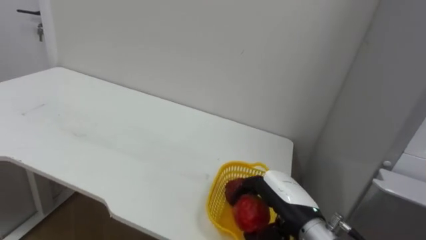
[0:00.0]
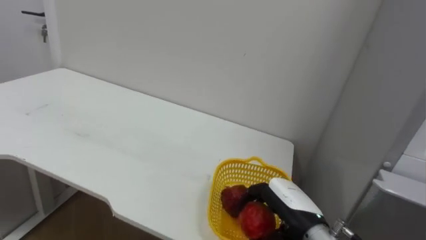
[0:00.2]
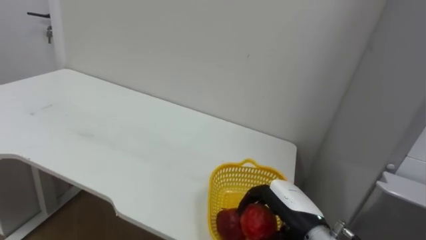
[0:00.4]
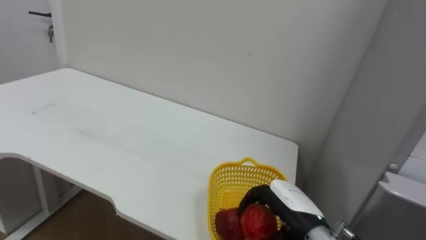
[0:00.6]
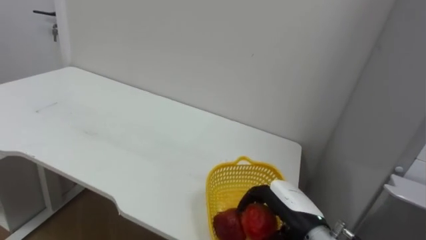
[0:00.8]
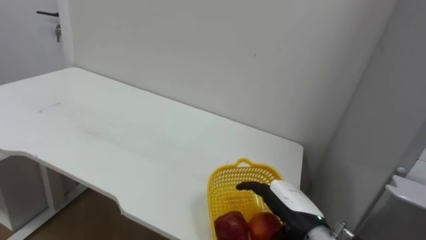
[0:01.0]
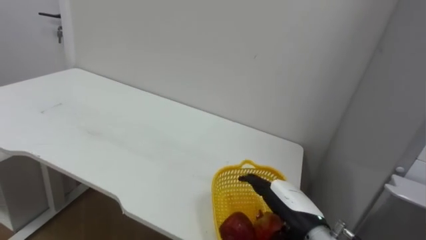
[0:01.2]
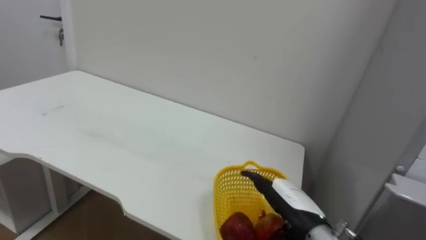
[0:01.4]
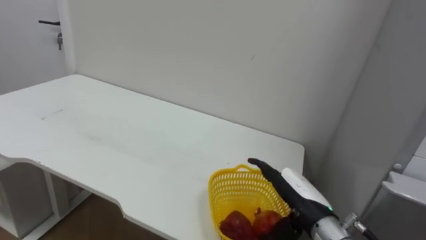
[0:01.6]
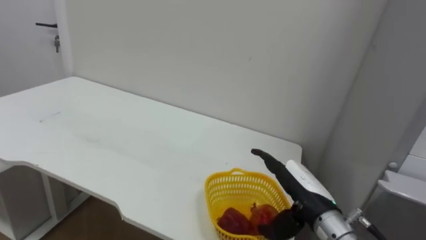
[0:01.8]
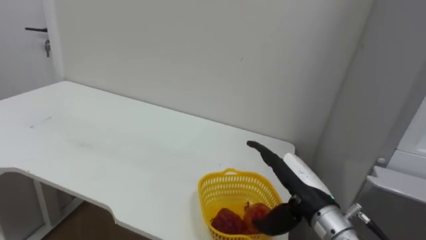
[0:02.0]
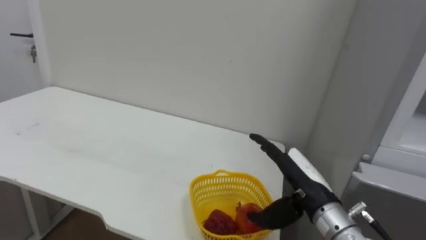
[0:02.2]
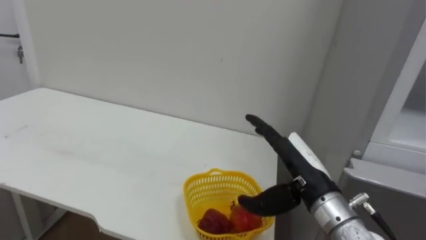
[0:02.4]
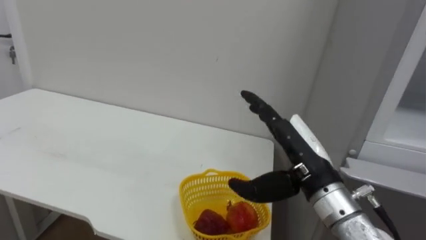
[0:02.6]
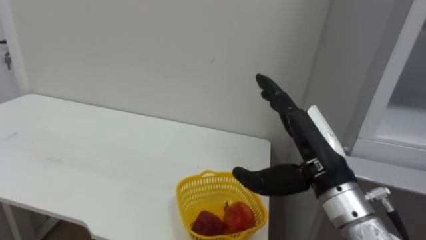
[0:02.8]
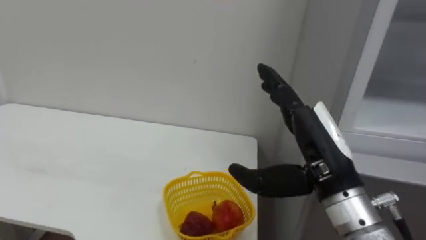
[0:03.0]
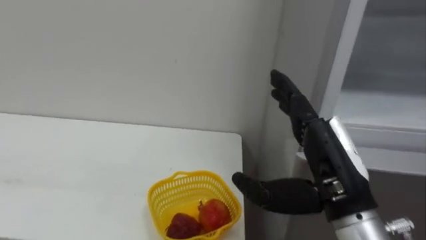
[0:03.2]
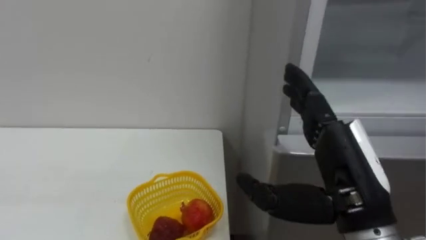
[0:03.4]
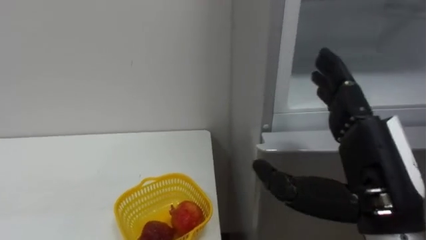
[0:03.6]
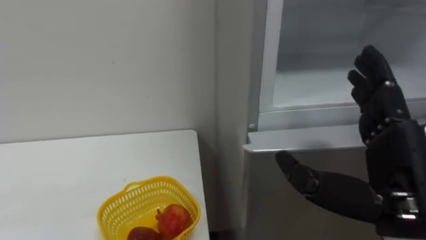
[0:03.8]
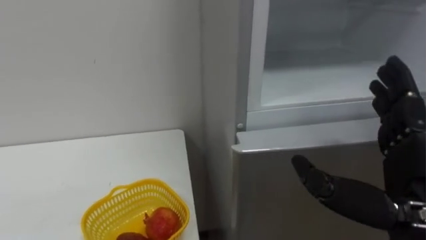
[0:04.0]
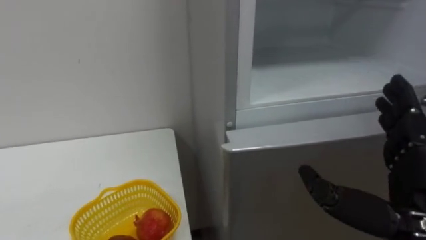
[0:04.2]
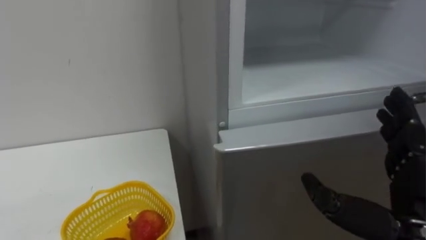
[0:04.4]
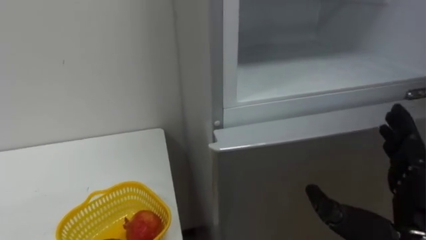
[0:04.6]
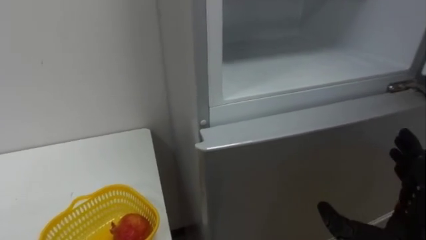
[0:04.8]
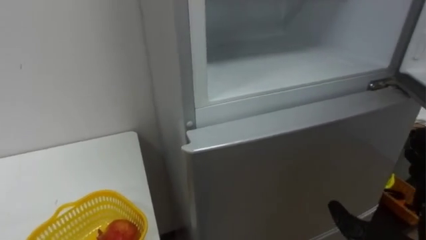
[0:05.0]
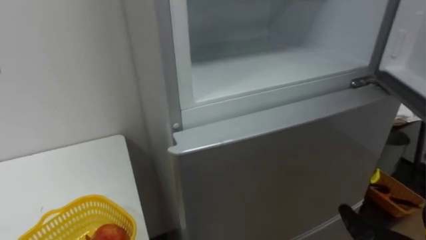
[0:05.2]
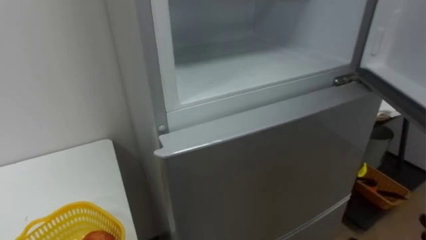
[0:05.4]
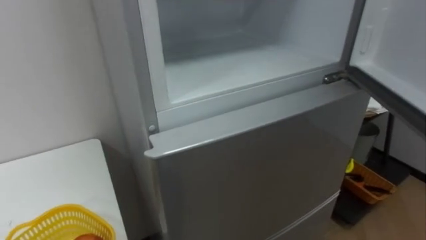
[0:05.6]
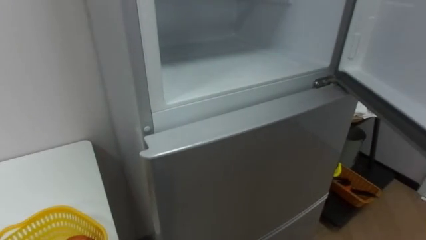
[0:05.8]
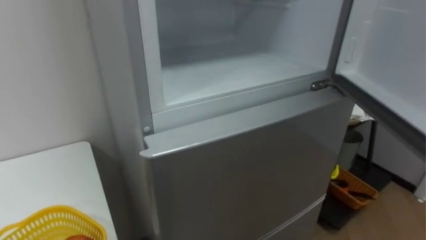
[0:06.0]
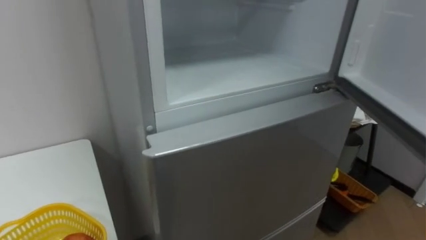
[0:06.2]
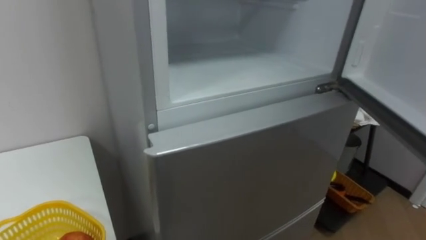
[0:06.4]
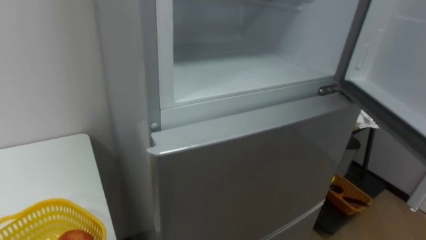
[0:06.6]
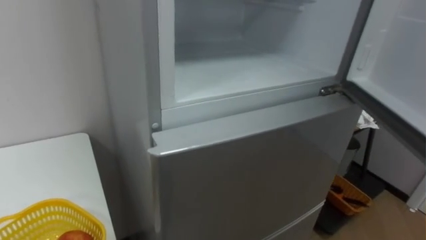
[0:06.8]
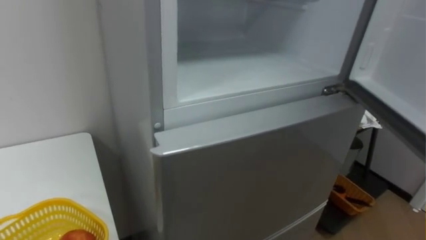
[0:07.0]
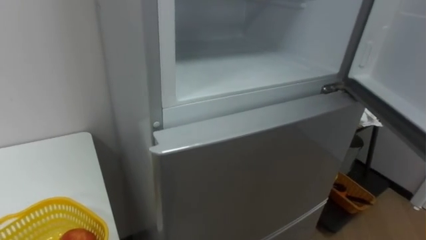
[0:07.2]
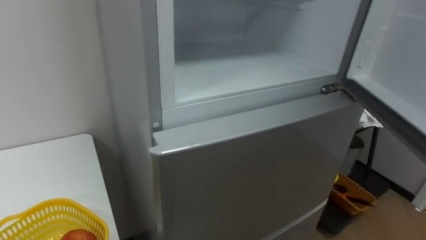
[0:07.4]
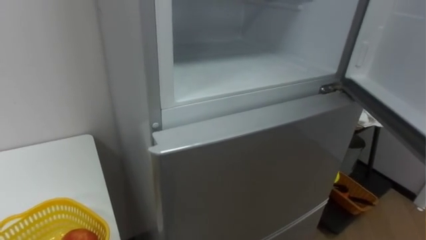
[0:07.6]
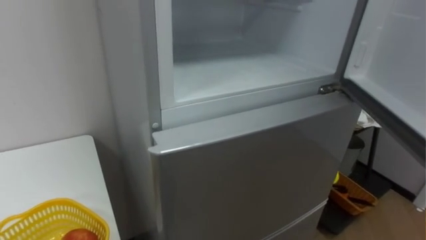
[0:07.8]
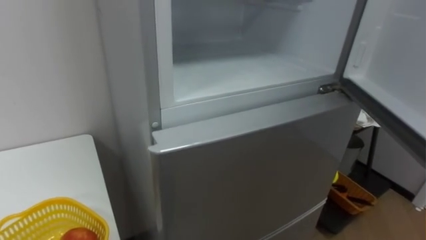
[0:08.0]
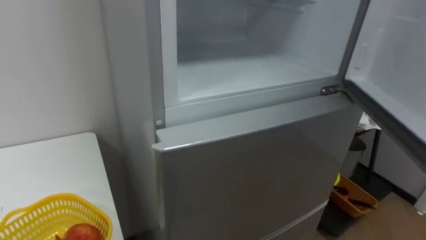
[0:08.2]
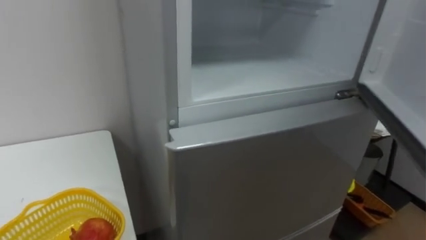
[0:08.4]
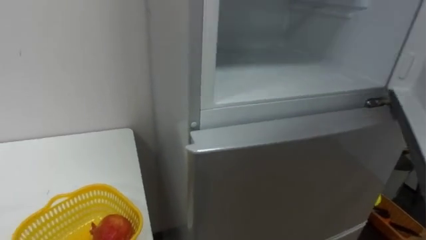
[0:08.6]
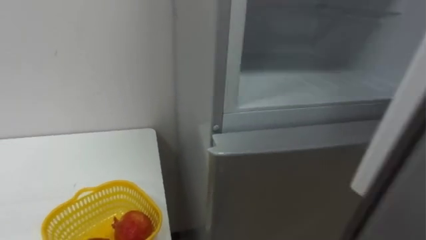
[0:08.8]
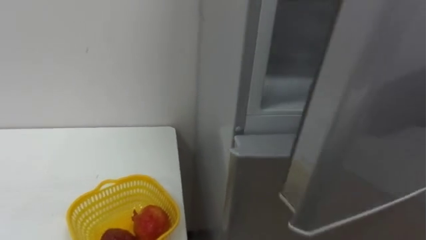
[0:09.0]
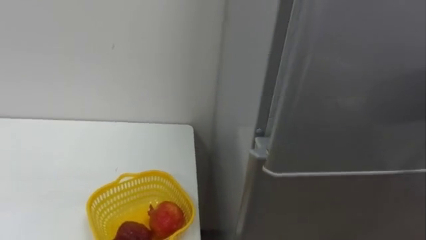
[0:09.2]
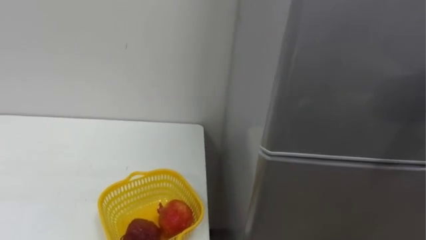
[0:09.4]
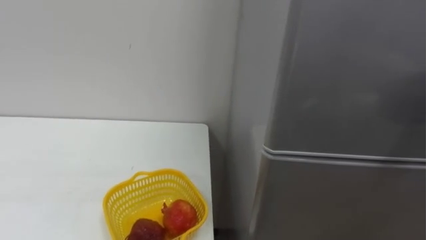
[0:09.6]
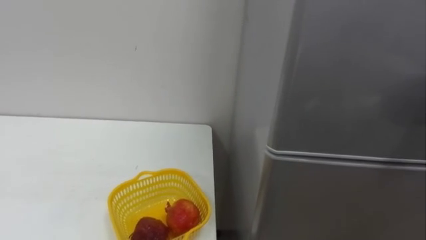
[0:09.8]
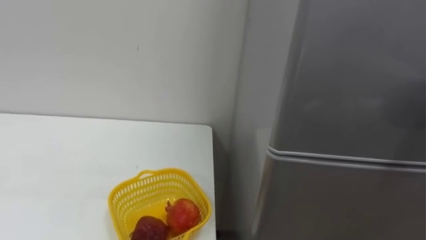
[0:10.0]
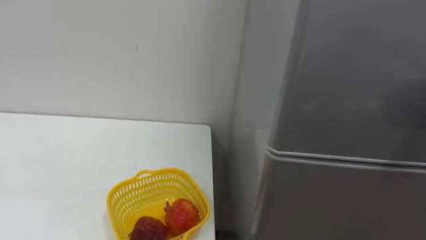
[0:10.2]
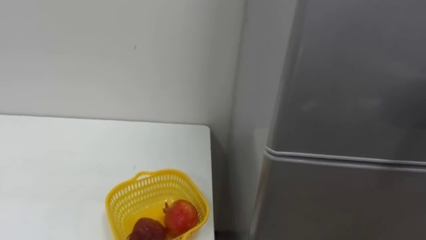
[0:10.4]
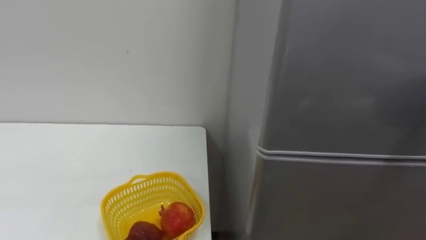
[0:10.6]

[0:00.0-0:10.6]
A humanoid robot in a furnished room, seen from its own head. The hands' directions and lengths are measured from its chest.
Task of the whole recording: Open the refrigerator door, take out the apple and the pomegranate, place them in the fruit basket on the left, and close the refrigerator door.
0:00.0 to 0:01.6: The right hand opens.
0:01.6 to 0:03.0: The right hand travels upward by some 15 cm.
0:03.0 to 0:04.6: The right hand moves to the right and backward, about 10 cm.

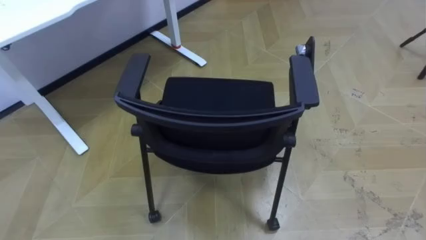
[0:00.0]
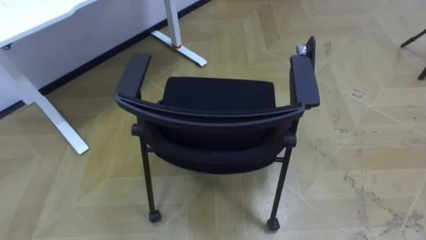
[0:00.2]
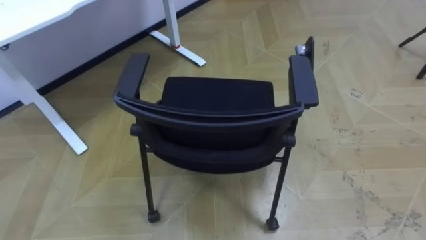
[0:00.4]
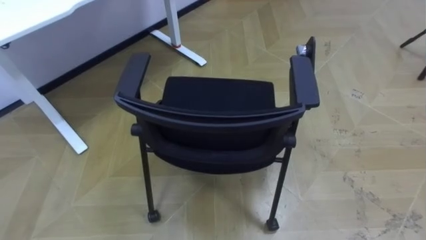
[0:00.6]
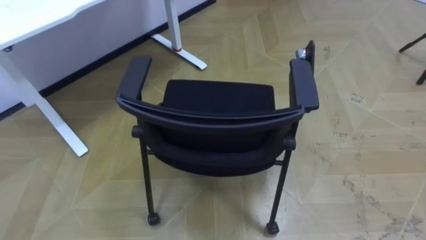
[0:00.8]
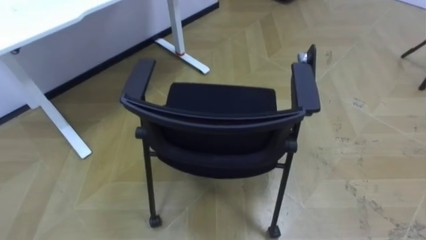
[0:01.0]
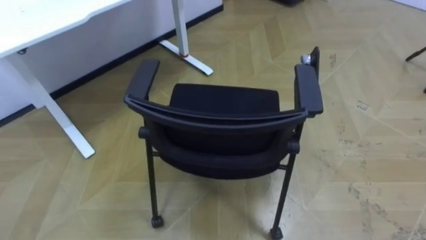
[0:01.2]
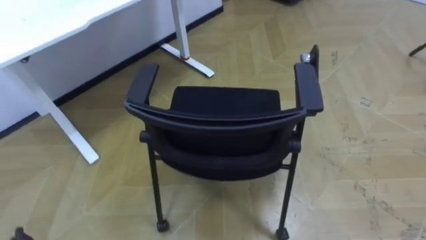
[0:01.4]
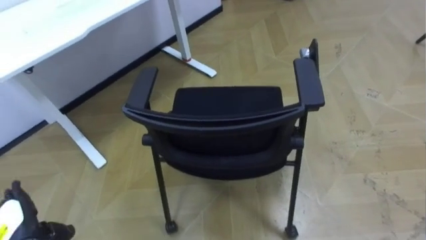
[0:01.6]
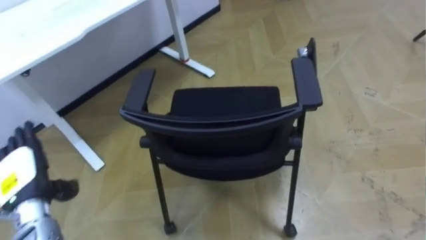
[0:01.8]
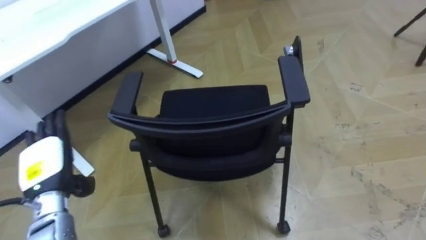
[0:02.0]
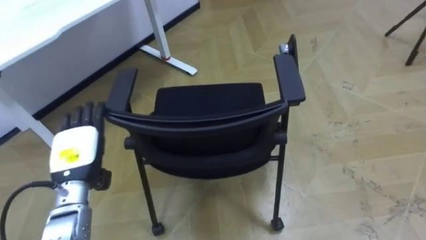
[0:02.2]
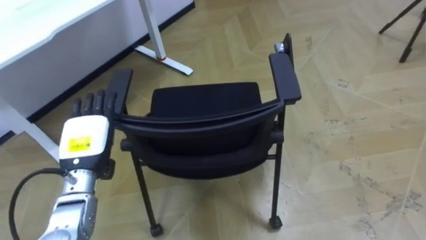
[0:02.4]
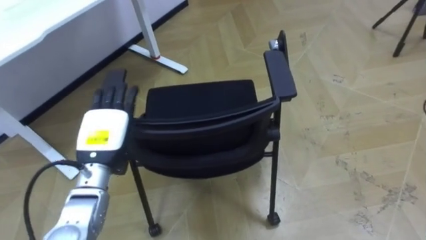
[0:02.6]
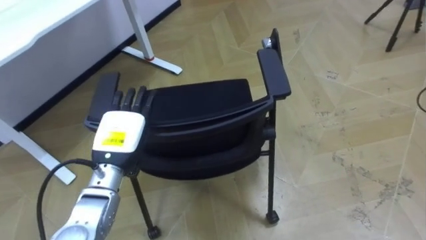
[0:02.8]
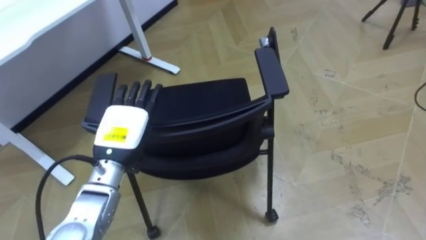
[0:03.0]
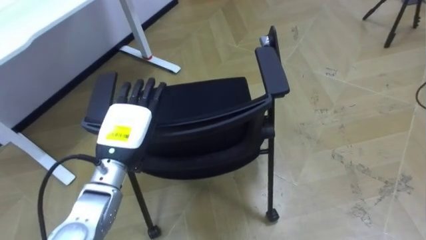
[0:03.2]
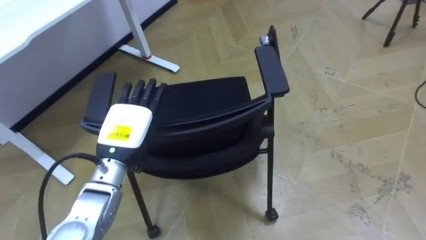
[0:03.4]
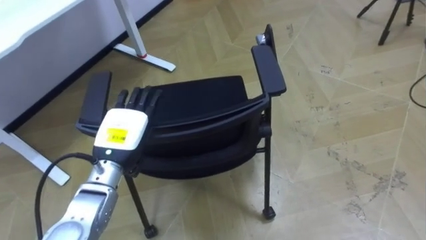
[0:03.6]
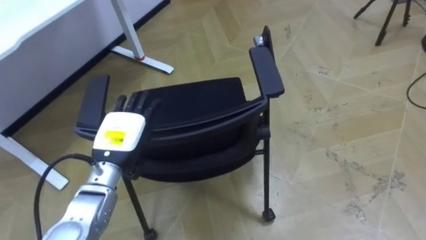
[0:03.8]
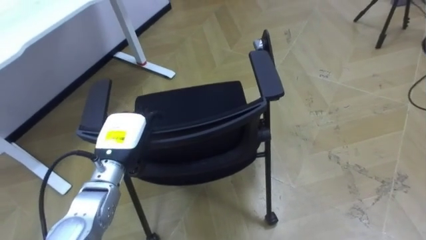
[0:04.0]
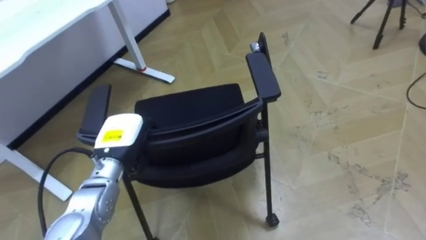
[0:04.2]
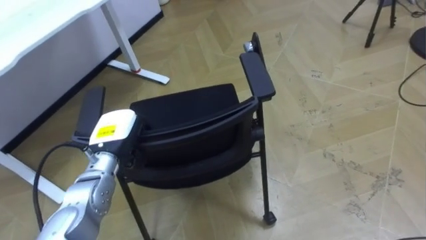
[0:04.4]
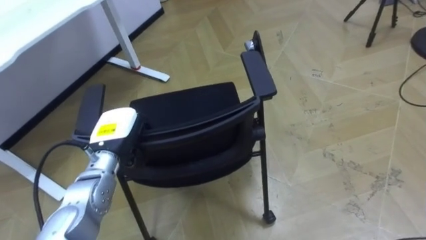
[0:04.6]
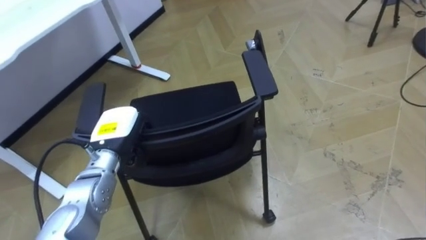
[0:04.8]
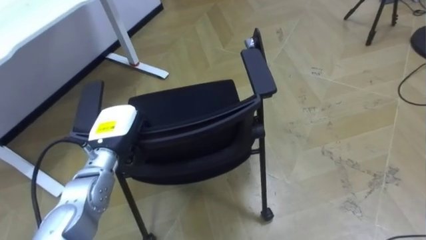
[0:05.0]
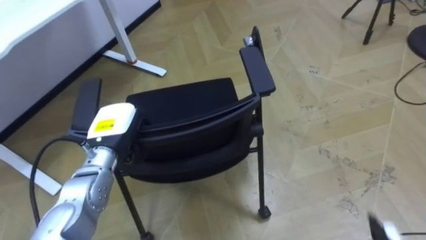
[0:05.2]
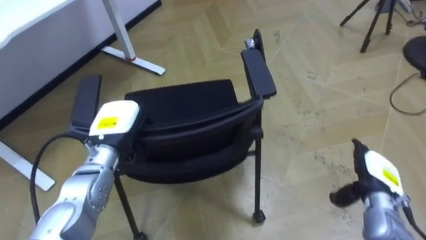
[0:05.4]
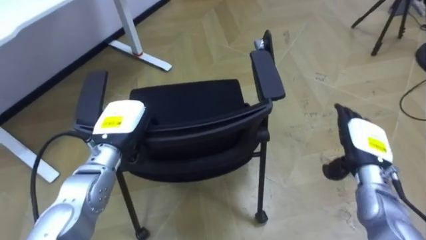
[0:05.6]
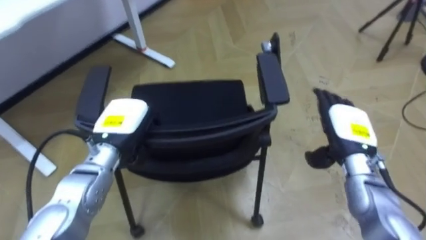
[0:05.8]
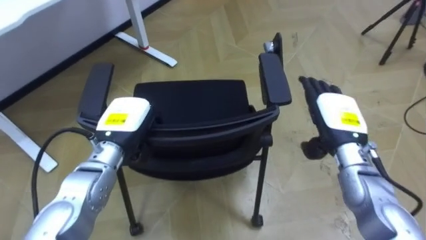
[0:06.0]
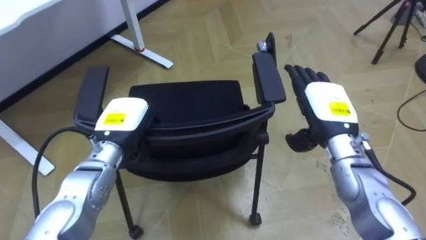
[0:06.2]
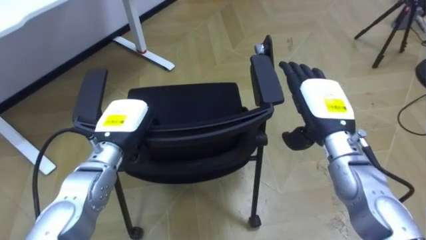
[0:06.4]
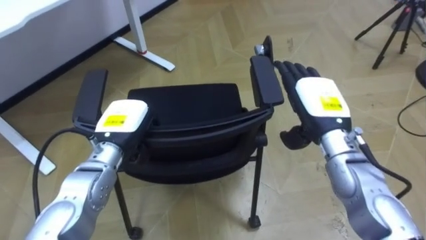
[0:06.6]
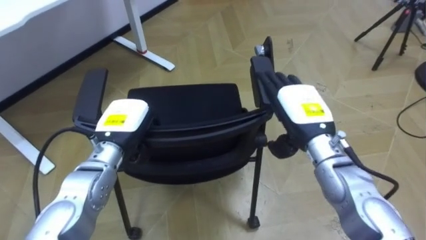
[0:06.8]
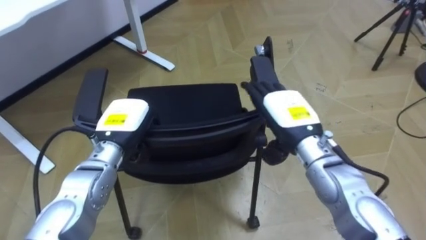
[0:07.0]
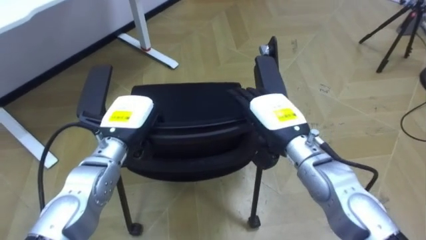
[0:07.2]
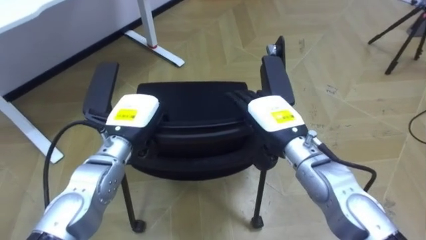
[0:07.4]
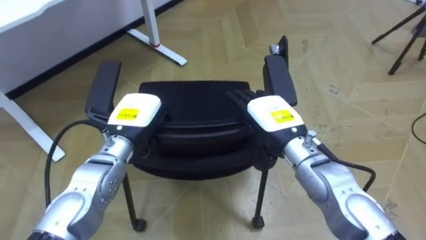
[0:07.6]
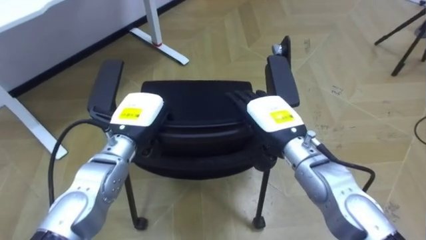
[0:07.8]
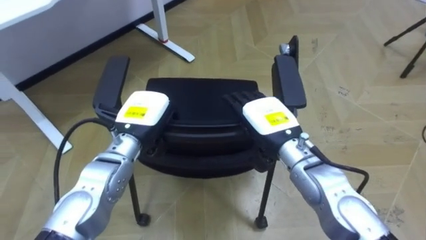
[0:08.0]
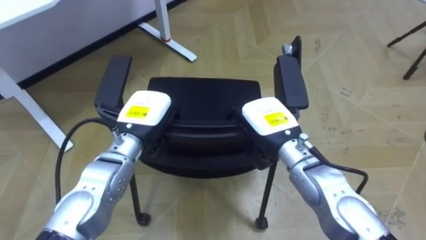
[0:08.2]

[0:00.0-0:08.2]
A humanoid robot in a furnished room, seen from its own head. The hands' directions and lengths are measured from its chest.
Task of the whole recording: Push the chair under the table.
0:01.6 to 0:03.2: The left hand travels to the right, forward and upward by approximately 25 cm.
0:03.2 to 0:05.0: The left hand closes.
0:06.6 to 0:08.2: The right hand travels to the left by about 10 cm.
